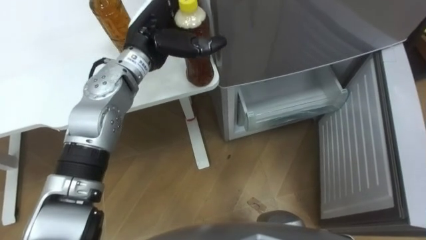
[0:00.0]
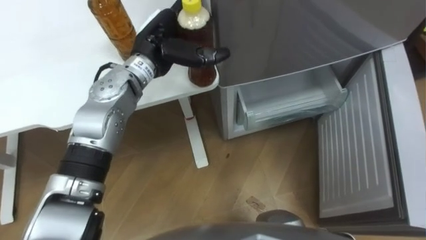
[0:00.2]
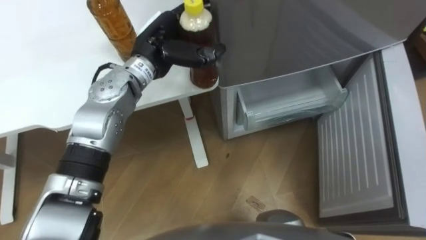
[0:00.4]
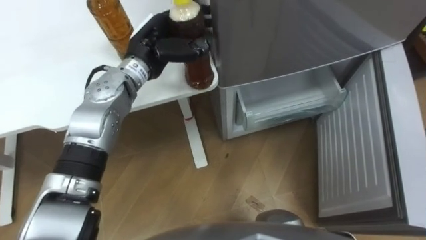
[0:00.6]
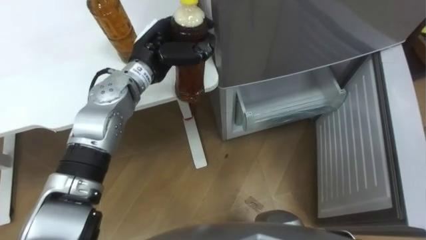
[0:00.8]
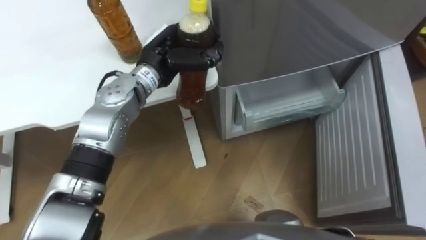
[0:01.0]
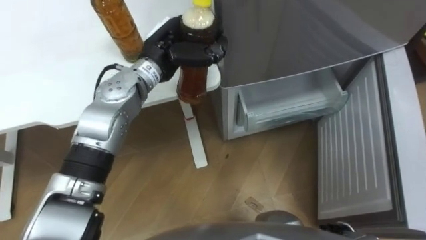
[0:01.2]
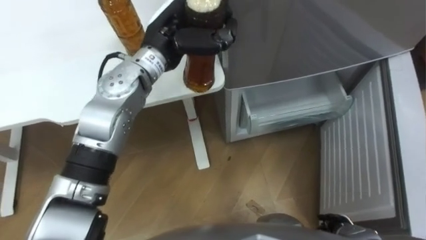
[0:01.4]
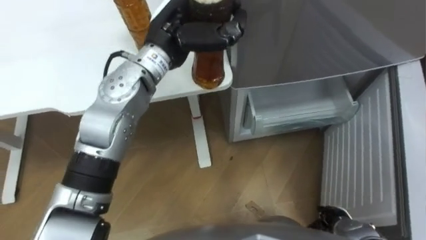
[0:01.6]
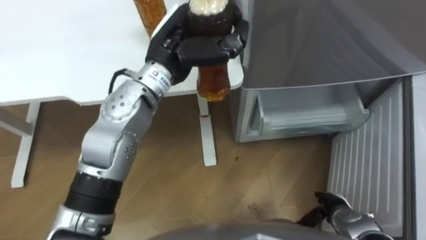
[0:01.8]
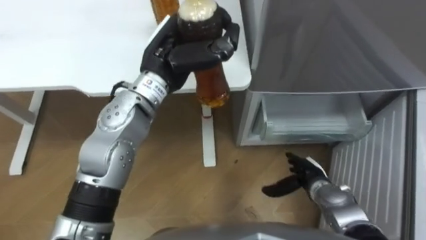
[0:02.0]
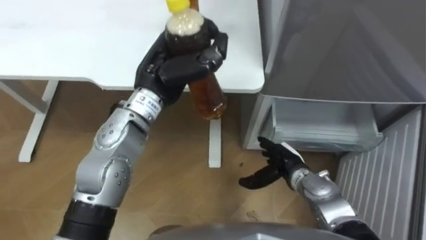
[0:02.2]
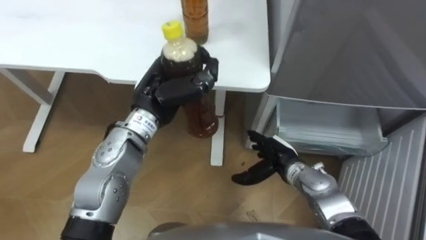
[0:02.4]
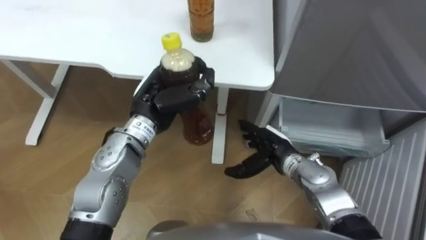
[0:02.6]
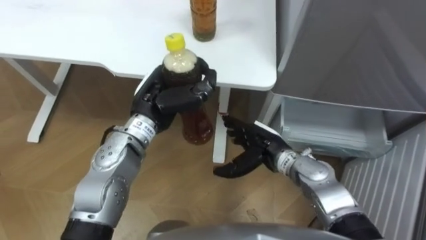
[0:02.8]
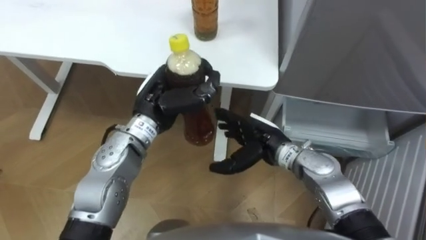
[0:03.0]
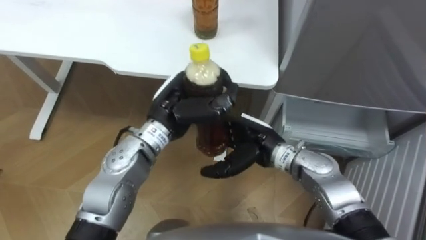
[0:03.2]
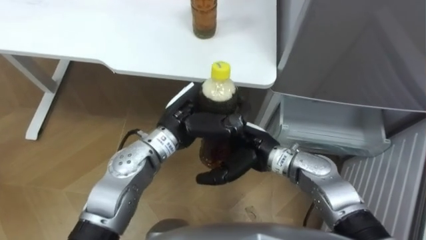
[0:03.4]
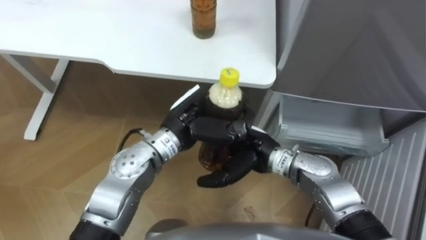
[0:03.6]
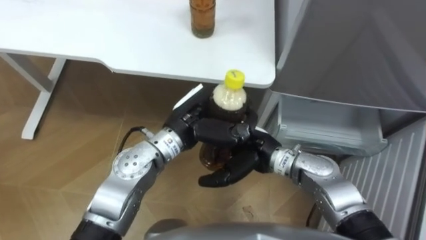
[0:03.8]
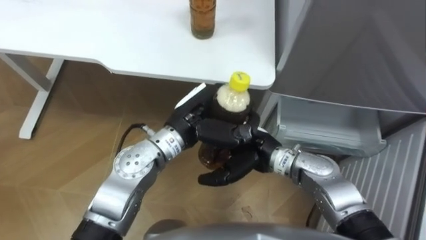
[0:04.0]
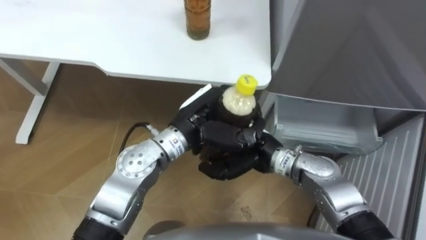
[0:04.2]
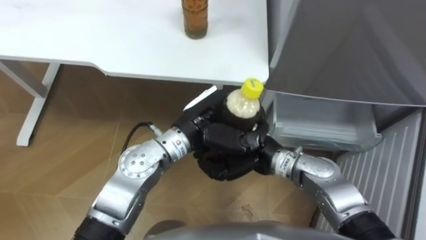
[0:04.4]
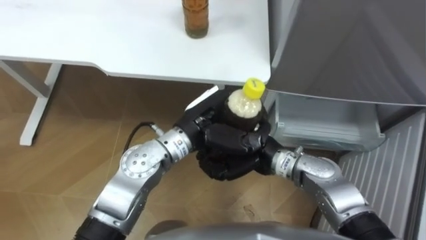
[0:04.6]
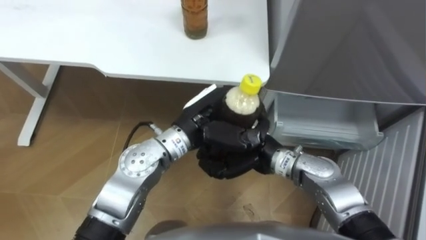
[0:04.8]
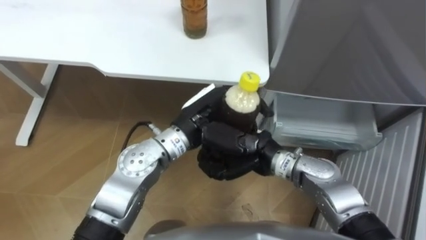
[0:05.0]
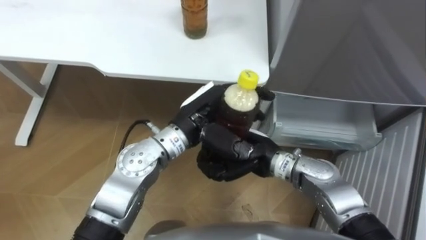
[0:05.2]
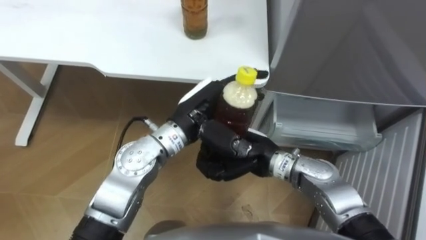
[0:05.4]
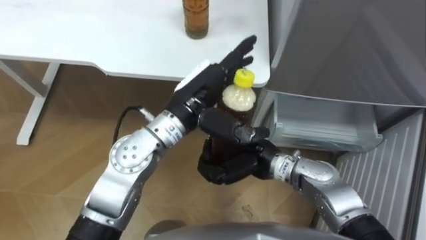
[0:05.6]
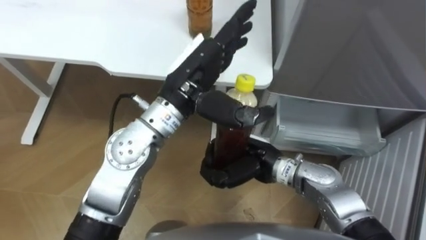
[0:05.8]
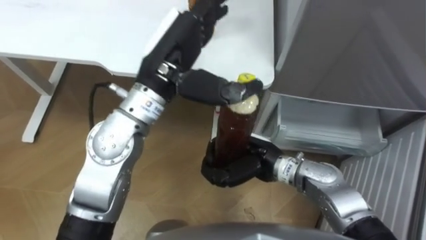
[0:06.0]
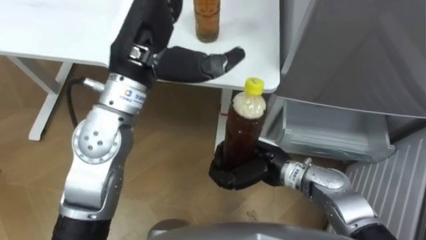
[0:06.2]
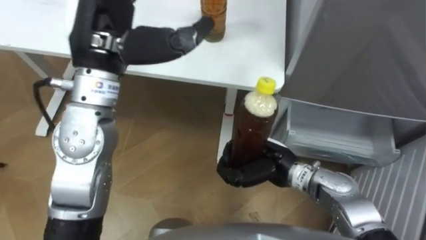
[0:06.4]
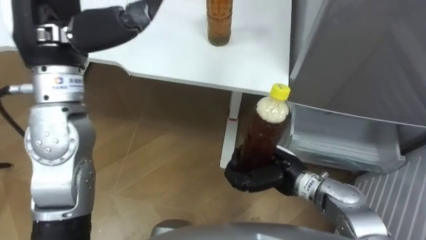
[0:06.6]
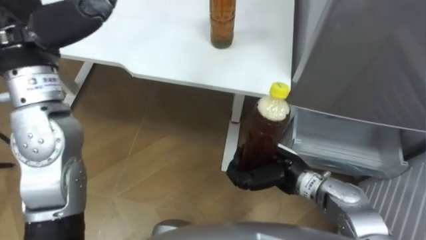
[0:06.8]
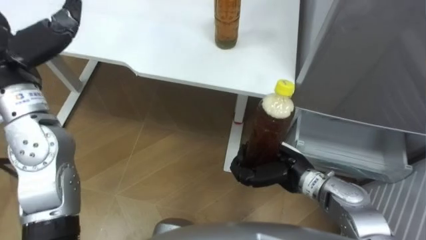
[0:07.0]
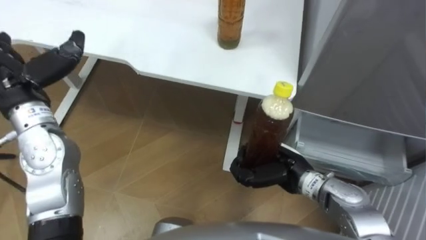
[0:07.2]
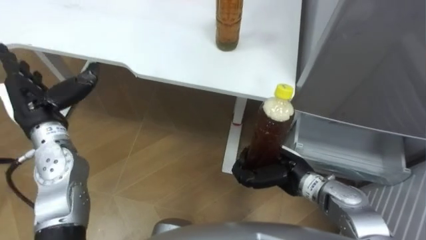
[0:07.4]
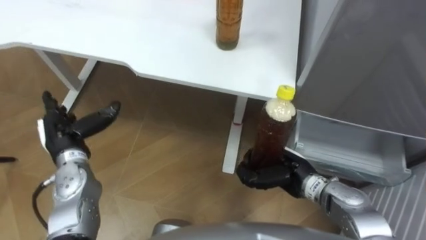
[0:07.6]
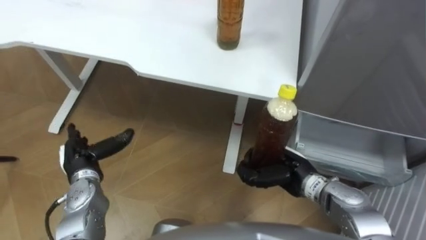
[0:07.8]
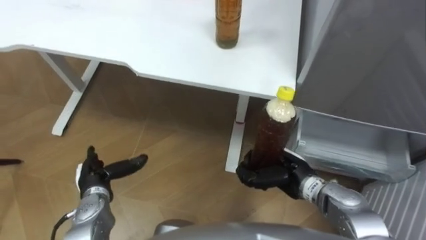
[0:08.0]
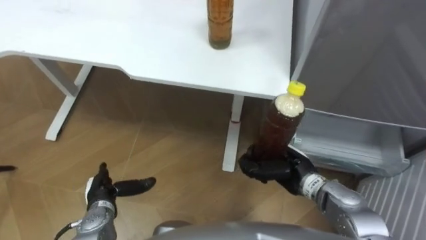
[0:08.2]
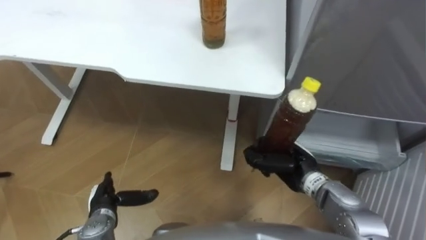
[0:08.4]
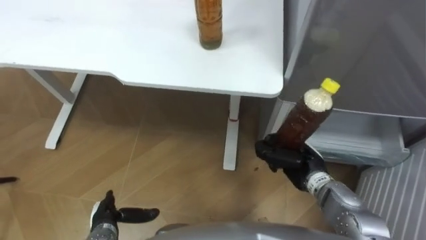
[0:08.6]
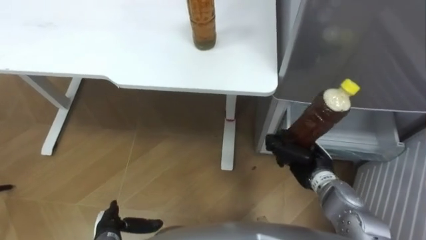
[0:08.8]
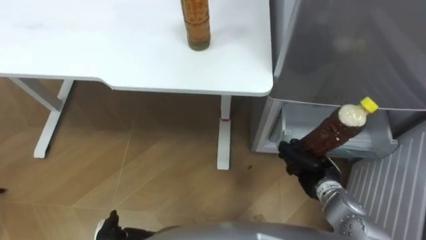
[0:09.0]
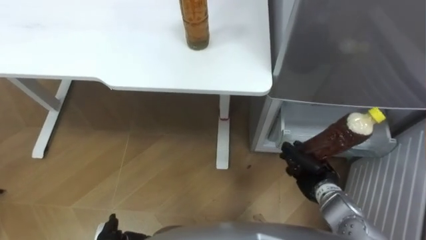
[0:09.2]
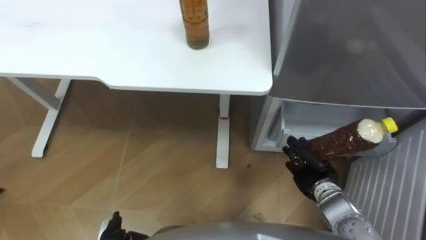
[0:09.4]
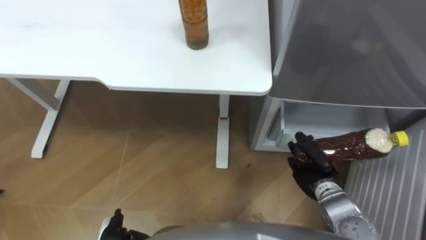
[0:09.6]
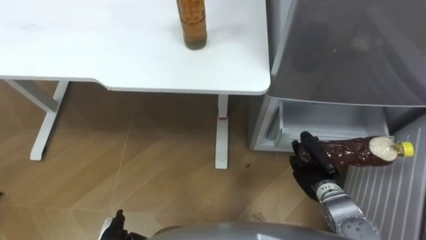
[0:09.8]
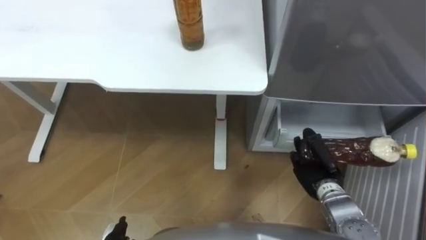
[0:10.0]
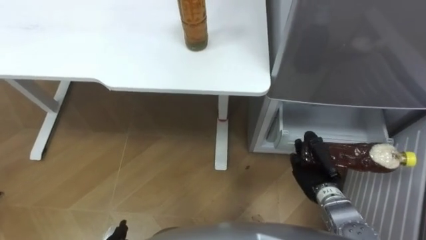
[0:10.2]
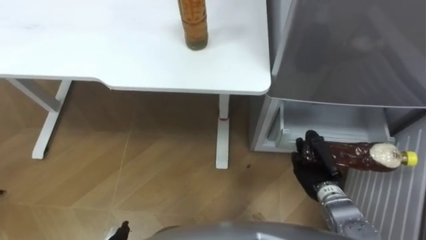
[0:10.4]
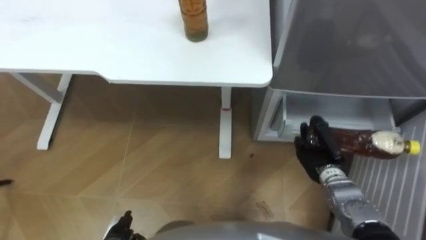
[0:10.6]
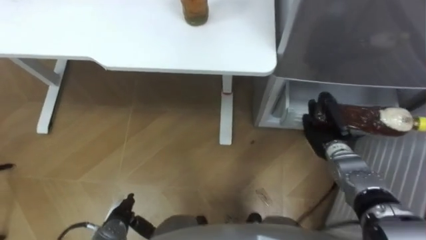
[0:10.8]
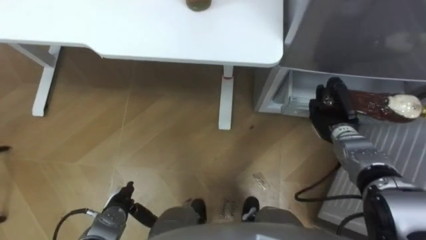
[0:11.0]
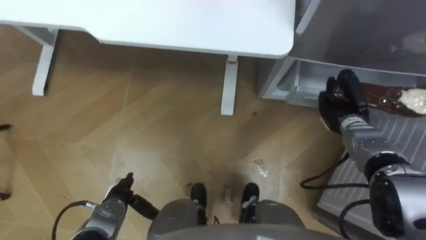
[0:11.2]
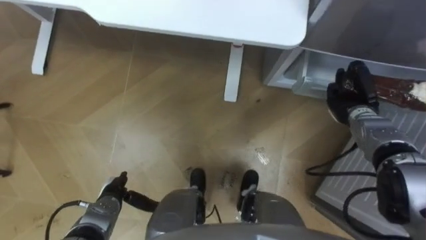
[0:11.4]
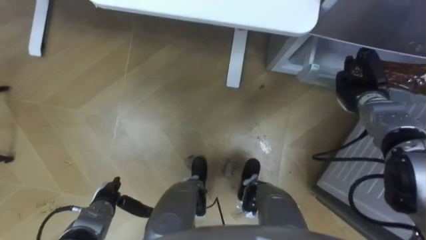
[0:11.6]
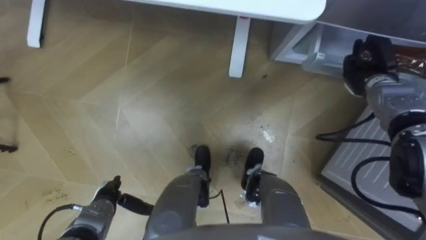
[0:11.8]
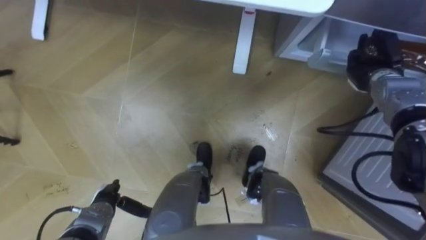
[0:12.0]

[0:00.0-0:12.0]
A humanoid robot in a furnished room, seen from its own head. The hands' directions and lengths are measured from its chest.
Task of the whole recording: Place the drink on the table on the bottom shelf of the refrigerator, then close the drawer and the refrigerator door.
0:00.0 to 0:01.6: The left hand changes place by approximately 5 cm, and closes up.
0:01.6 to 0:03.0: The right hand heads to the left, forward and upward, covering some 30 cm, while the left hand goes about 10 cm downward and backward.
0:03.0 to 0:04.4: The left hand goes some 10 cm to the right. Meanwhile the right hand closes up.
0:04.4 to 0:06.0: The left hand travels upward by roughly 10 cm, and opens its fingers.
0:06.0 to 0:07.6: The right hand heads to the right, covering some 10 cm.
0:07.6 to 0:09.0: The left hand moves backward and downward, roughly 25 cm; the right hand heads to the right, covering approximately 5 cm.
0:10.4 to 0:12.0: The right hand heads forward, upward and to the right, covering about 25 cm.

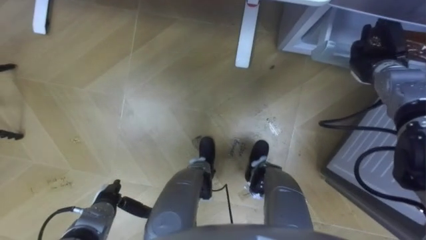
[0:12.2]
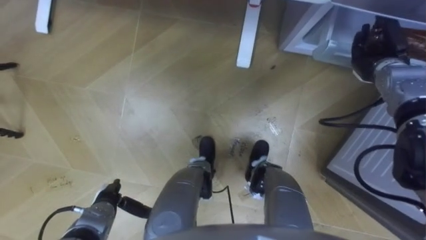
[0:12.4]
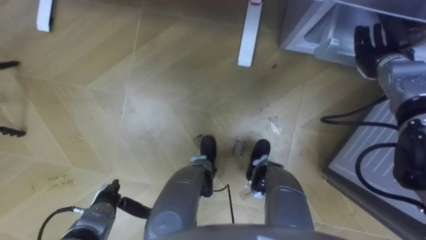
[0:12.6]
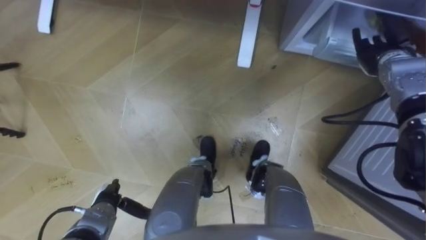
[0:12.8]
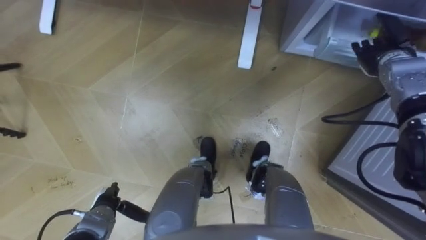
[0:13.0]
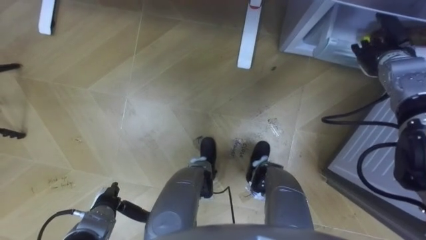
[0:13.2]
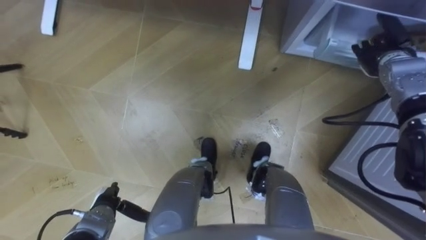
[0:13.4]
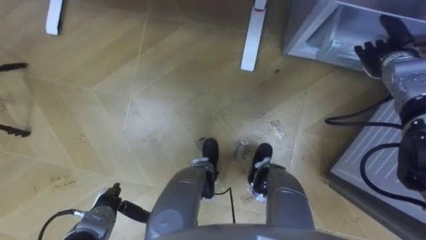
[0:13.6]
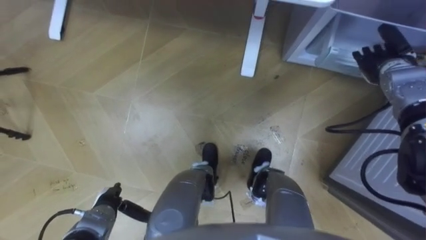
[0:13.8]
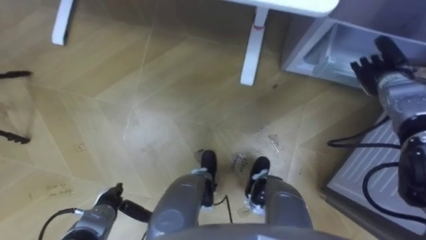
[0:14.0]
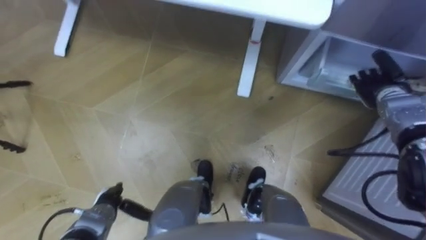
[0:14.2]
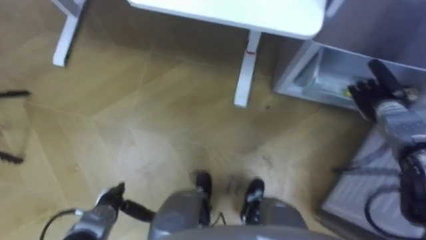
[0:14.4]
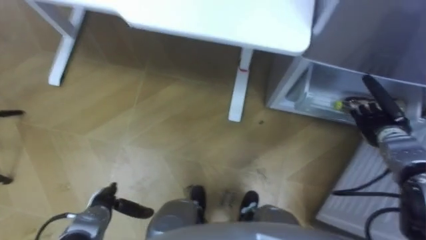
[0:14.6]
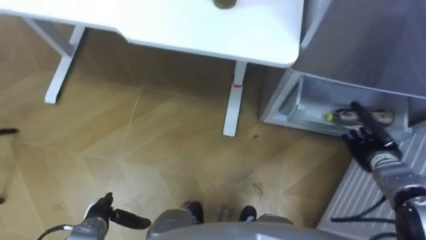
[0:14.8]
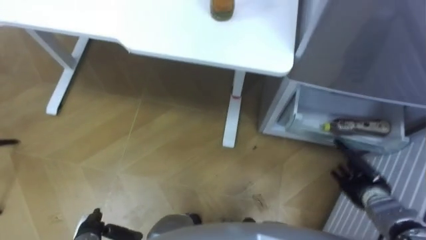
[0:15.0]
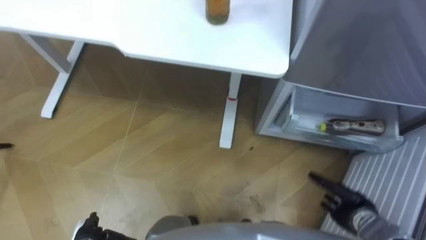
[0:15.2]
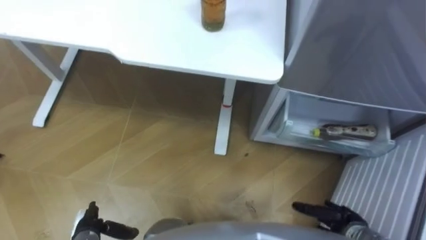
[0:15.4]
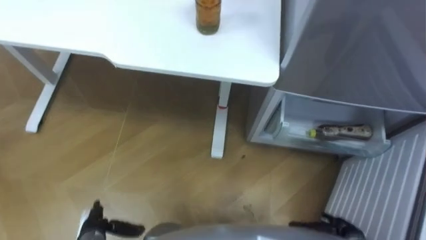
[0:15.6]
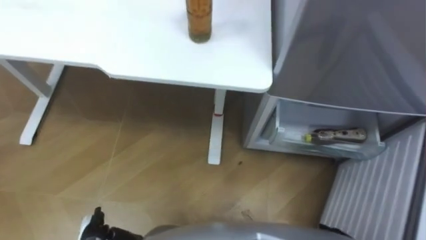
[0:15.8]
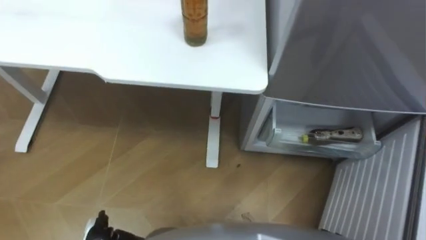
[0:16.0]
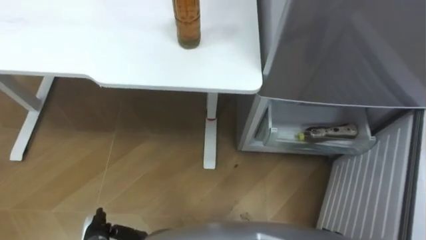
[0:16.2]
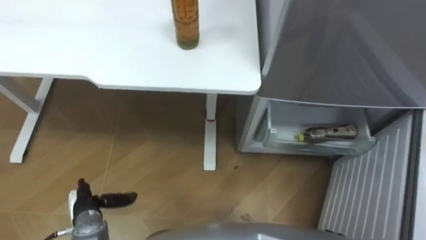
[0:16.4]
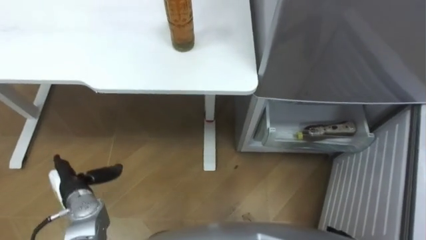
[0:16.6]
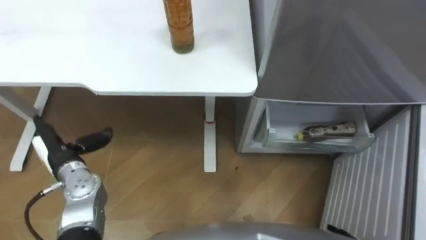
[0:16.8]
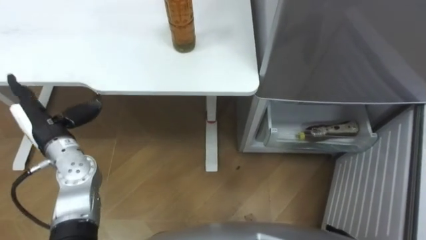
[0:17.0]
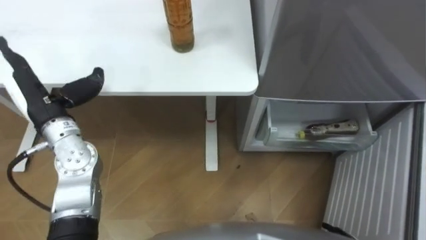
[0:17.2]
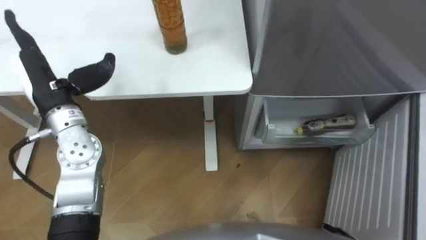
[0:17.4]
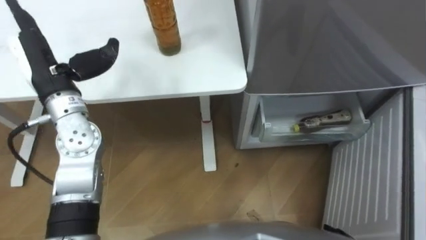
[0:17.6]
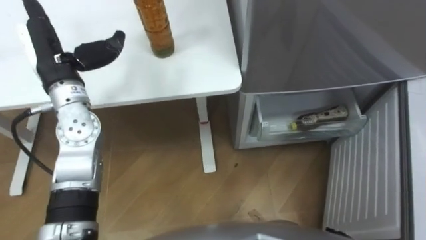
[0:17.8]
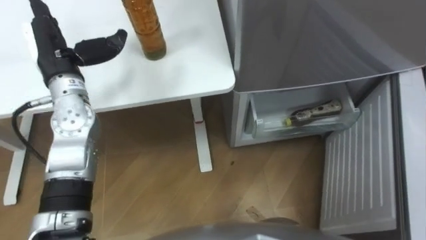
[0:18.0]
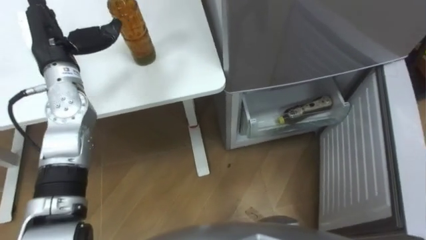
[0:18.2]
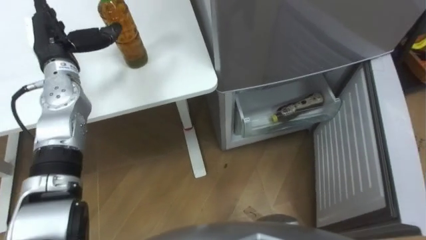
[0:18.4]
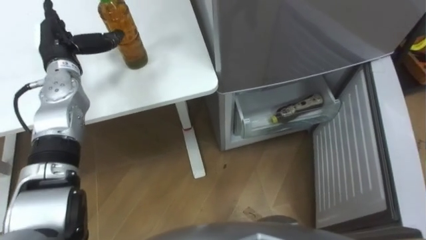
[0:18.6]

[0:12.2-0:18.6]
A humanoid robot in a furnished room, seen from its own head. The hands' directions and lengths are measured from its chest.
Task of the whole recording: Place the drink on the table on the bottom shelf of the refrigerator, then close the drawer and the refrigerator door.
0:12.2 to 0:13.8: The right hand opens up.
0:13.8 to 0:15.4: The right hand goes roughly 35 cm backward and downward. Meanwhile the left hand moves about 5 cm.
0:15.4 to 0:17.0: The left hand shifts about 25 cm upward and forward.
0:17.0 to 0:18.6: The left hand goes roughly 15 cm forward.
